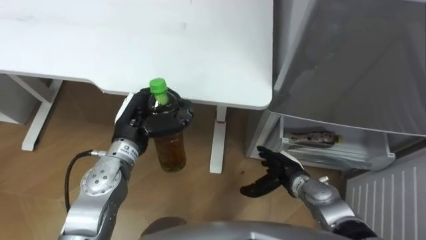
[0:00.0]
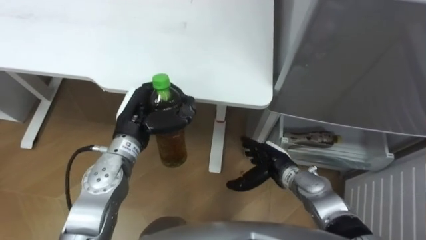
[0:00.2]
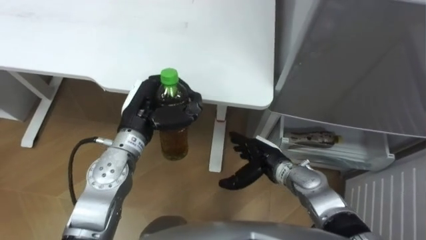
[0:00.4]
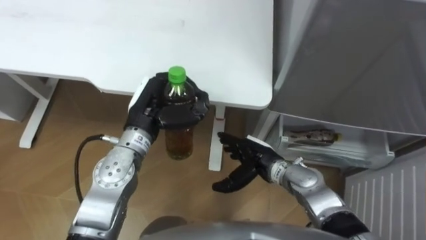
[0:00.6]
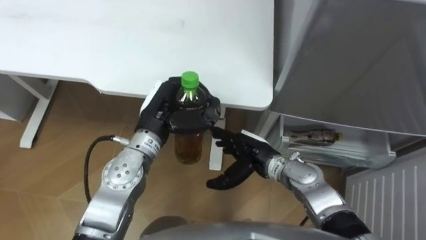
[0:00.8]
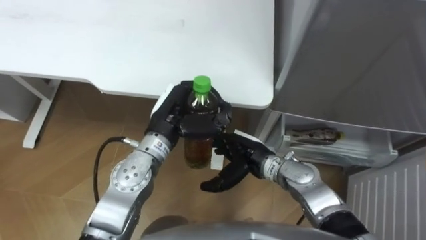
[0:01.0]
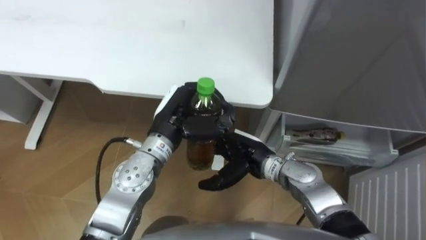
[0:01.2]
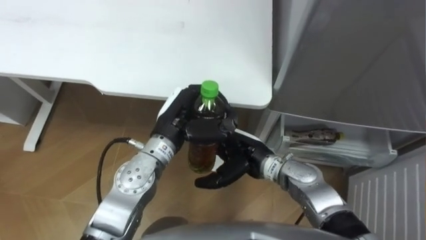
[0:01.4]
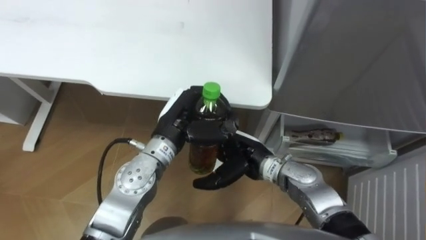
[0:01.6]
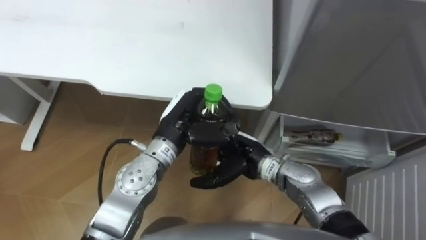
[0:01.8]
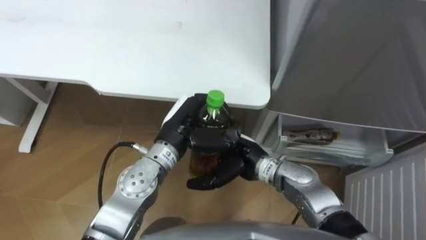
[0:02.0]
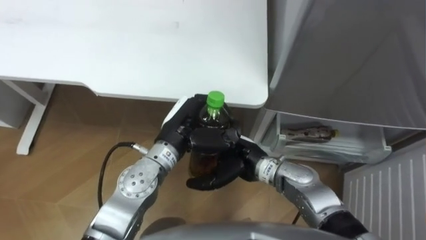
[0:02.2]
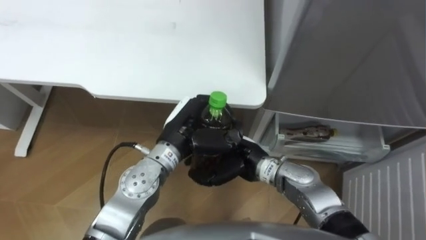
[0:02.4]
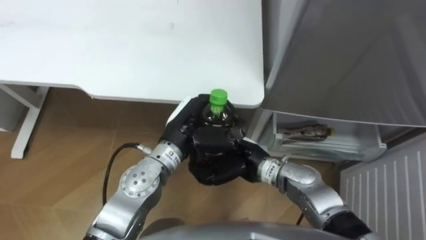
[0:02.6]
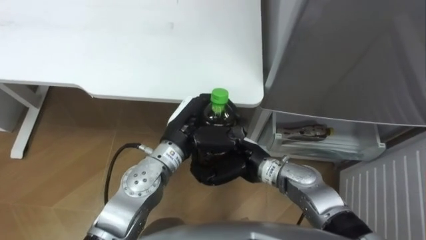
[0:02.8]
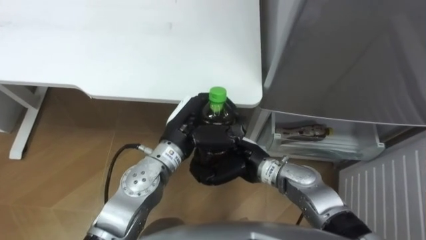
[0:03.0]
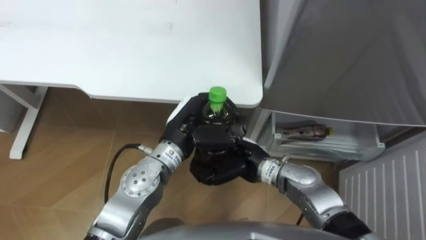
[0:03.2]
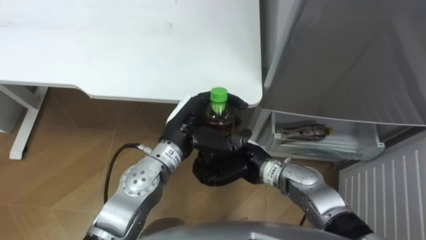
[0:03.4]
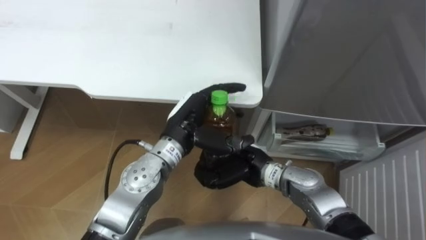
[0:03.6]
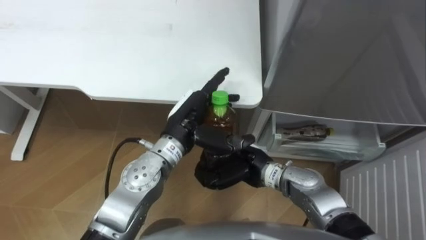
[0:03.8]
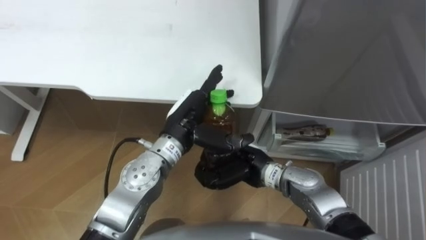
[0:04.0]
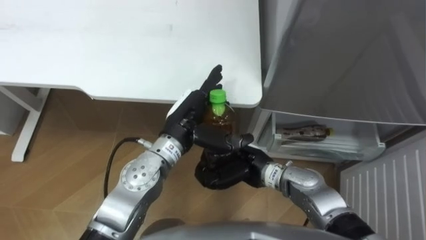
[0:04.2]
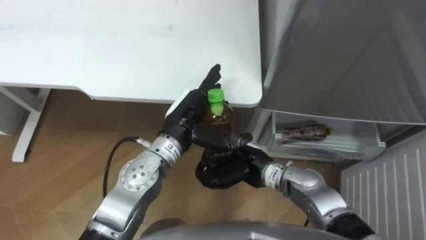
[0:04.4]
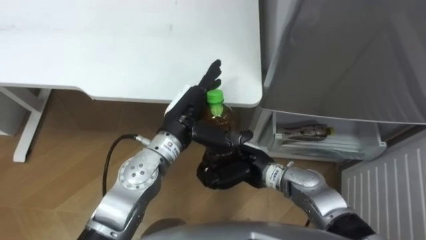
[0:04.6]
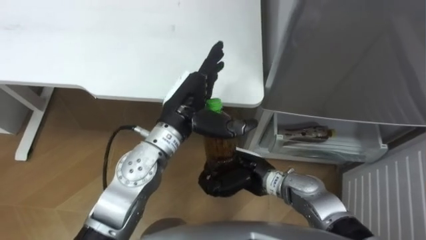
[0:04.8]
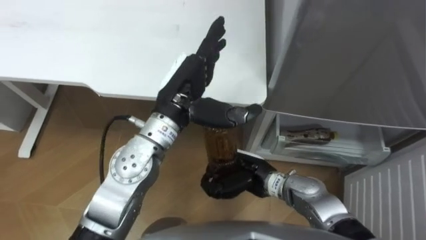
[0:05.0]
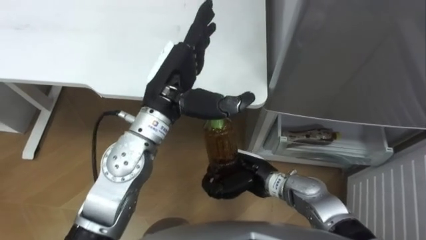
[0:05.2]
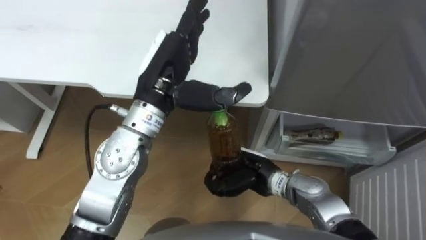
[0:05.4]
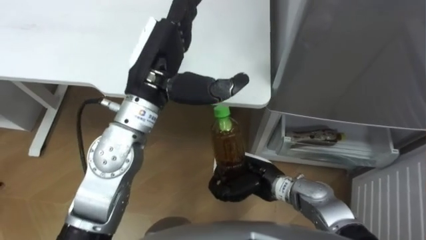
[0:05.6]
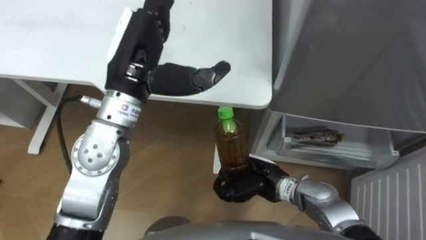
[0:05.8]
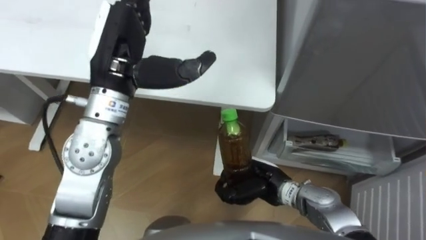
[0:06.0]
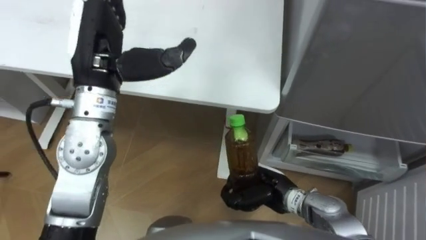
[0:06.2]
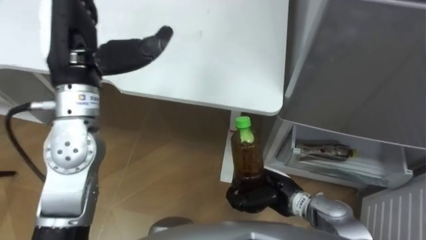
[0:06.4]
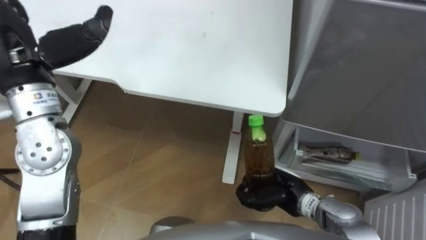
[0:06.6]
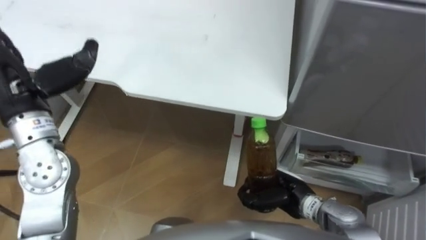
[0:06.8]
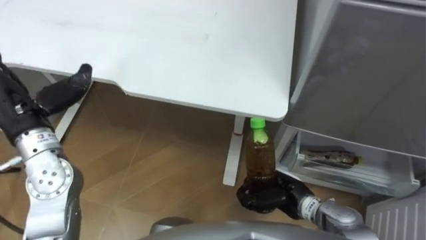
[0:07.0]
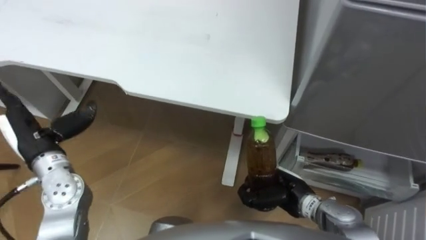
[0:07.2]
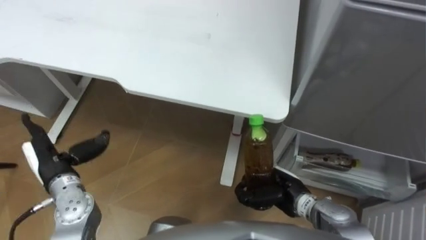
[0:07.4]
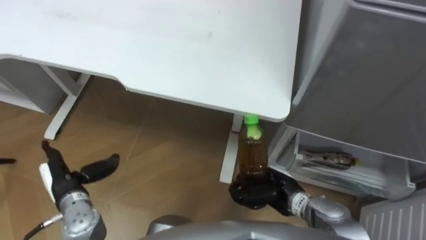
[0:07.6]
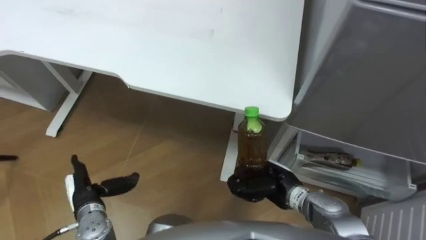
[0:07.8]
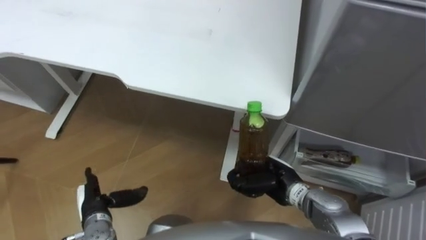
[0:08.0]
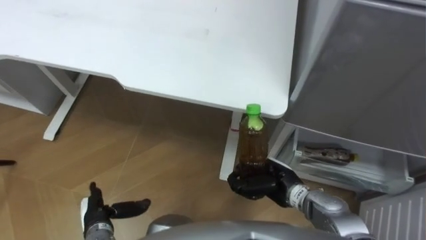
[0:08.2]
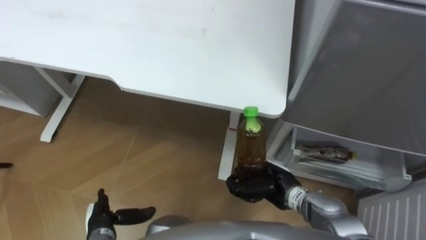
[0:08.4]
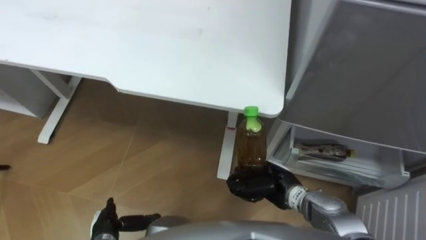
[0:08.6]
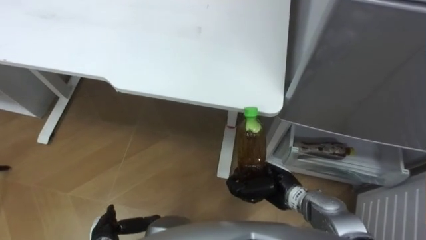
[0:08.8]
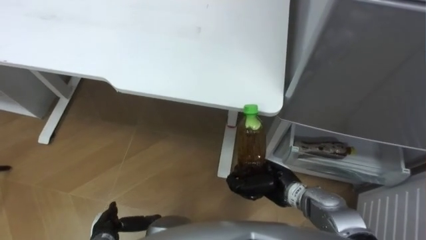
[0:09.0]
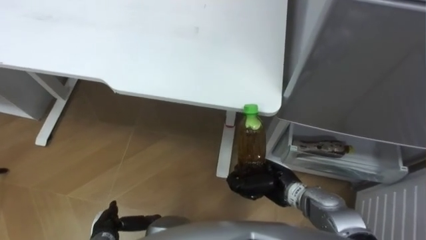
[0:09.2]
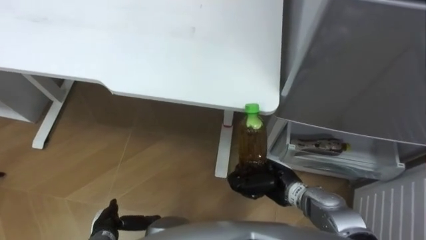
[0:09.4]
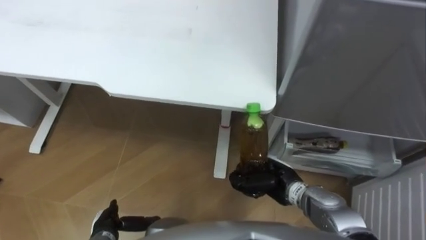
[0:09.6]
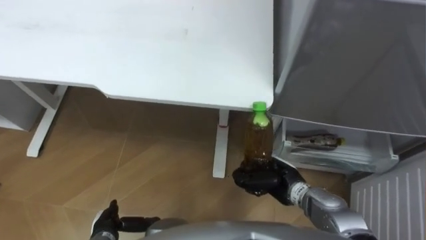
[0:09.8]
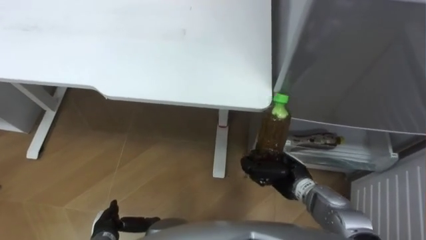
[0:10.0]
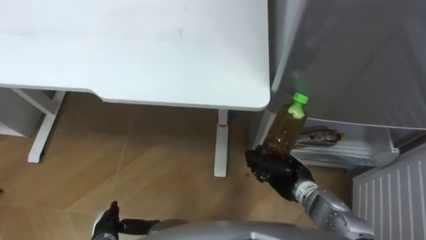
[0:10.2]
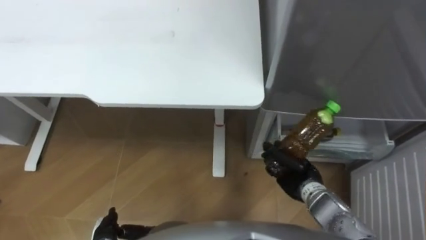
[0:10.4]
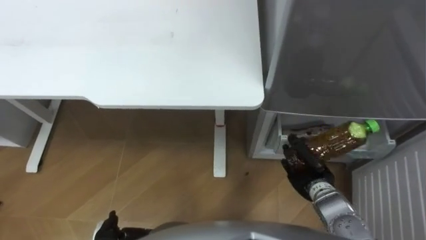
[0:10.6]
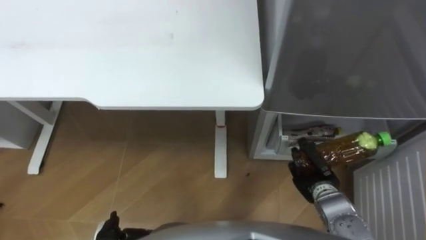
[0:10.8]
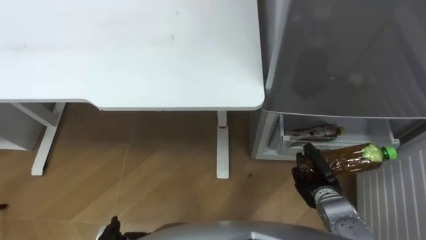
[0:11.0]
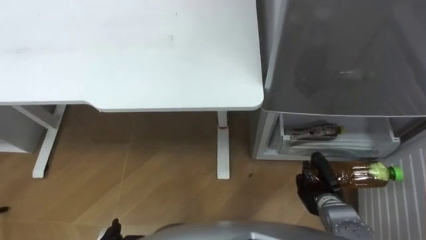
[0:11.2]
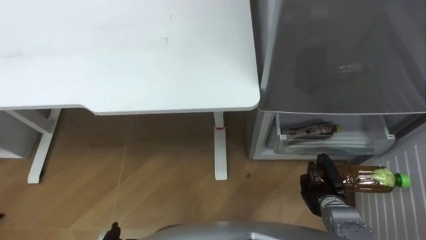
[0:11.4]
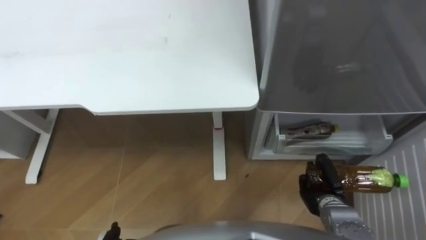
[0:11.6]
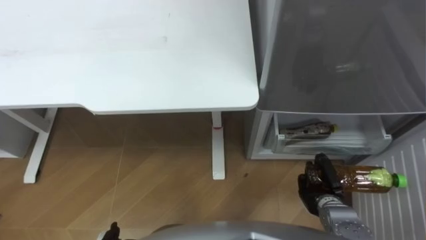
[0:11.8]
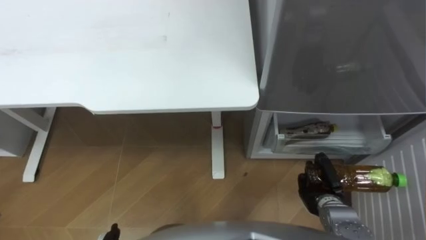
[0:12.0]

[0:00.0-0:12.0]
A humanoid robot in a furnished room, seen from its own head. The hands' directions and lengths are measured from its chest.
Task of the whole recording: Place the drink on the table on the bottom shelf of the refrigerator, then close the drawer and the refrigerator door.
0:00.0 to 0:01.6: The right hand moves to the left and upward, approximately 15 cm; the left hand is displaced to the right by roughly 10 cm.
0:01.6 to 0:03.0: The right hand closes up.
0:03.0 to 0:04.4: The left hand opens.
0:04.4 to 0:06.0: The left hand goes approximately 15 cm upward and to the left. Meanwhile the right hand ends up roughly 5 cm from where it was.
0:06.0 to 0:07.6: The left hand moves downward, to the left and backward, about 30 cm.
0:07.6 to 0:09.0: The left hand travels downward, backward and to the right by roughly 15 cm.
0:09.0 to 0:10.4: The right hand shifts about 5 cm to the right.
0:10.4 to 0:12.0: The right hand is displaced to the right by about 5 cm.

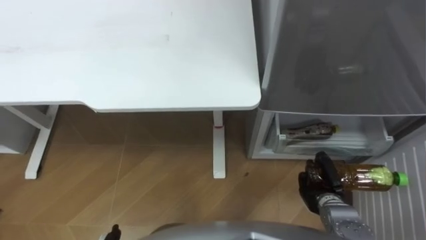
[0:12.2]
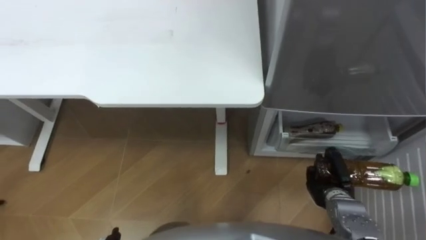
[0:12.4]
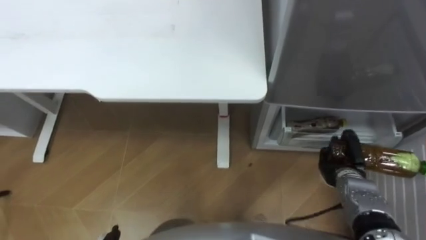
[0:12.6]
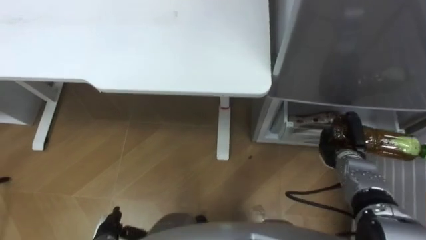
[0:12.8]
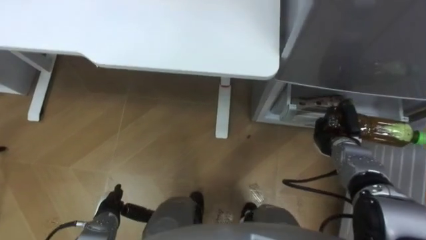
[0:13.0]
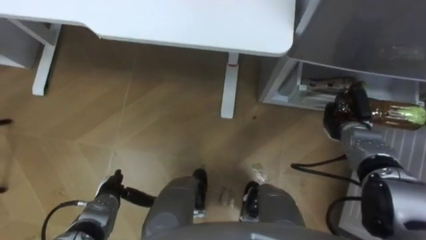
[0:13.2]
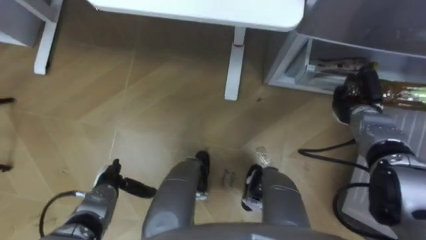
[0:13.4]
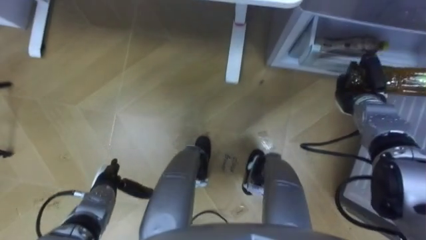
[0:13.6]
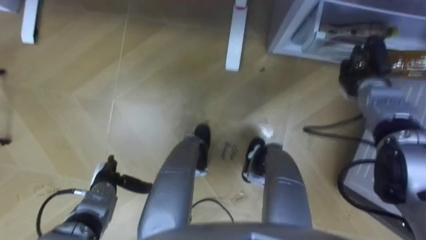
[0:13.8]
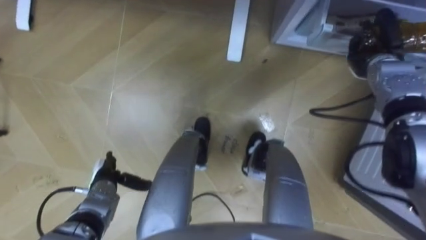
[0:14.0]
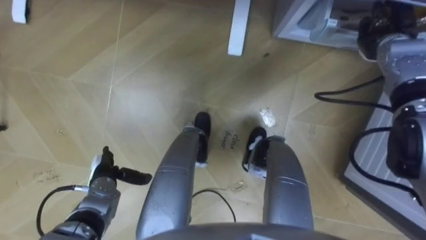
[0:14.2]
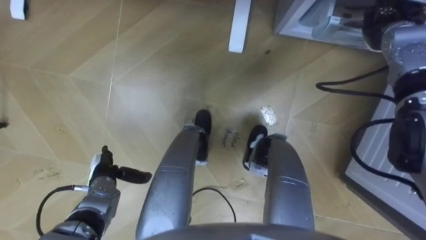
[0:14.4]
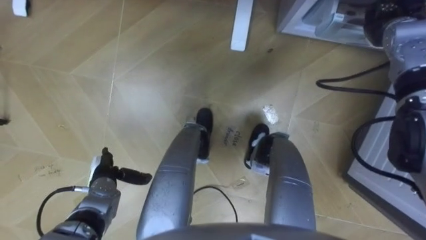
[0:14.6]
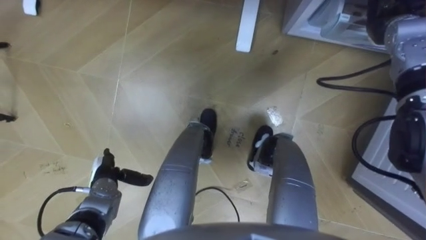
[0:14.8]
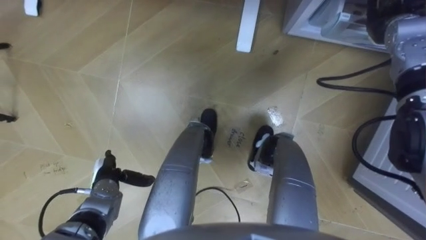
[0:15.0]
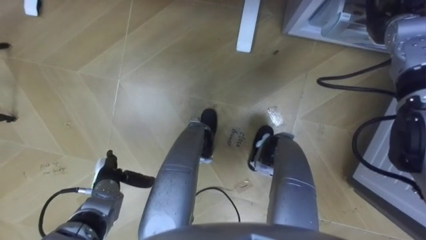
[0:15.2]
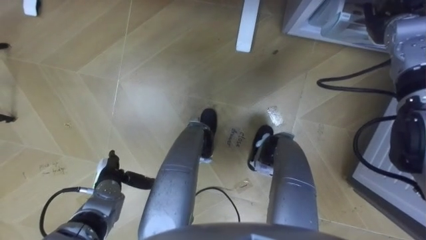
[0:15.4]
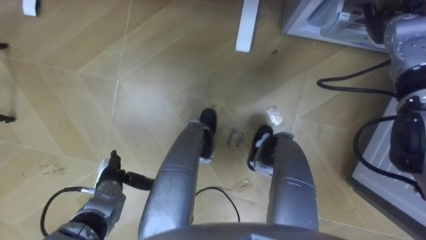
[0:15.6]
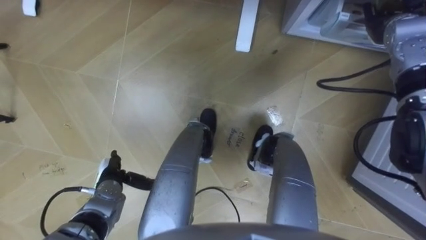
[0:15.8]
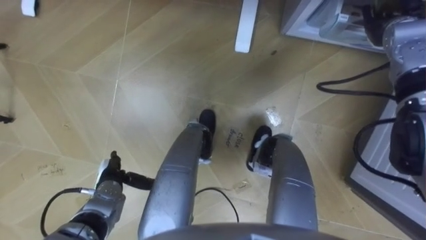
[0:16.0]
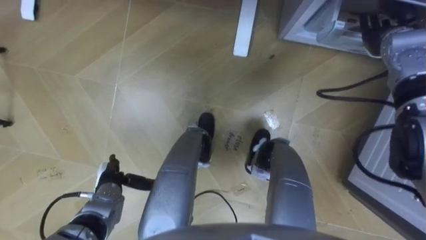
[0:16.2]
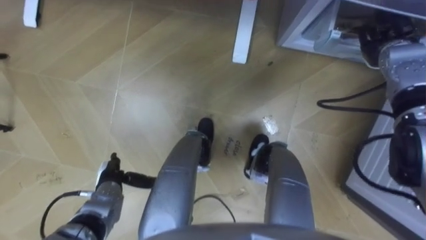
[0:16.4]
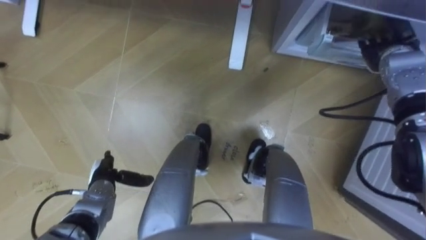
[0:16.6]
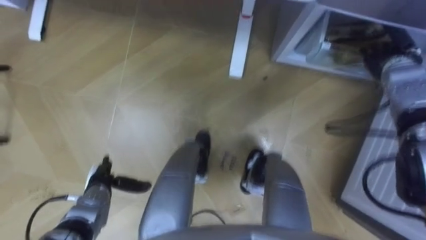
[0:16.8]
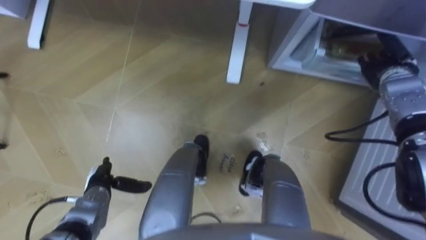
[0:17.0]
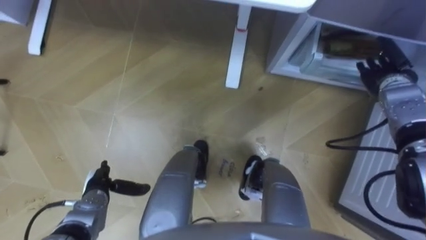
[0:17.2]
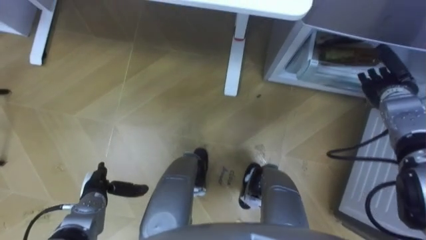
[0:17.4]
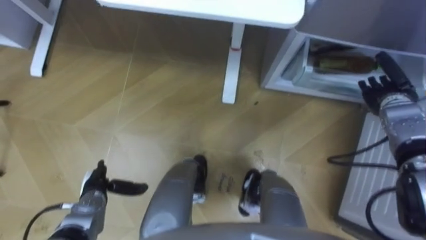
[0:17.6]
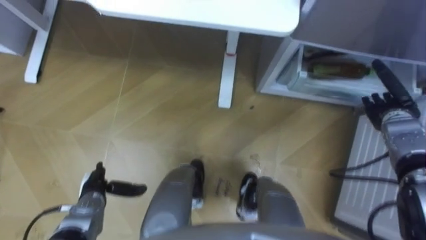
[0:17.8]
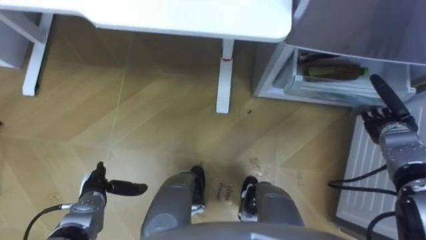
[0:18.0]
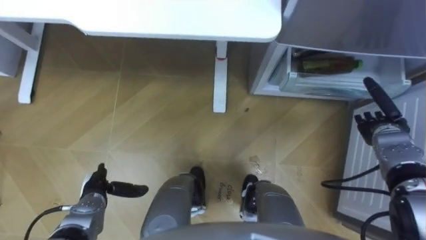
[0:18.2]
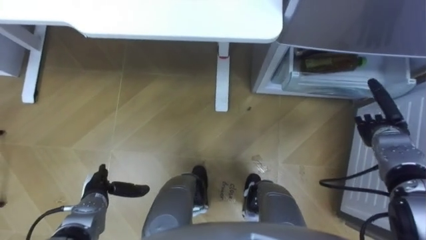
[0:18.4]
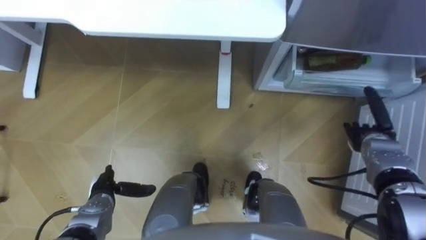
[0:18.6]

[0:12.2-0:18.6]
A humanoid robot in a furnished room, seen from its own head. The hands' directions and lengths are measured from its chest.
Task of the whole recording: Place the drink on the table on the bottom shelf of the refrigerator, then close the drawer and the refrigerator door.
0:12.2 to 0:13.8: The right hand is displaced forward and upward by about 25 cm.
0:13.8 to 0:15.4: The right hand is displaced upward and forward by roughly 10 cm, and opens.
0:15.4 to 0:17.0: The right hand moves downward and backward, approximately 10 cm.
0:17.0 to 0:18.6: The right hand shifts roughly 15 cm backward and downward.
